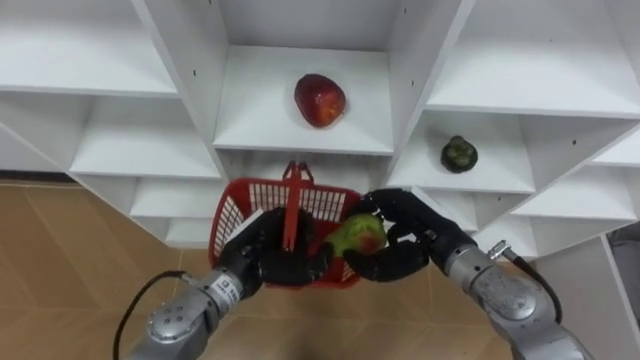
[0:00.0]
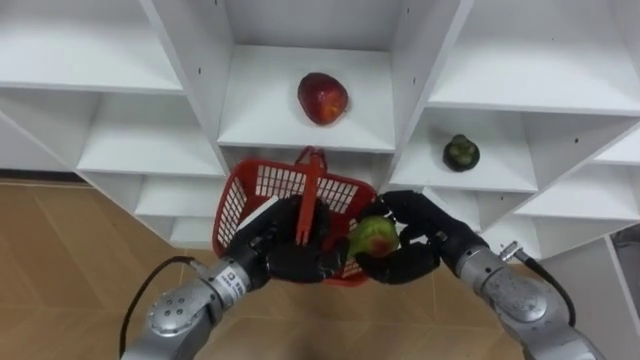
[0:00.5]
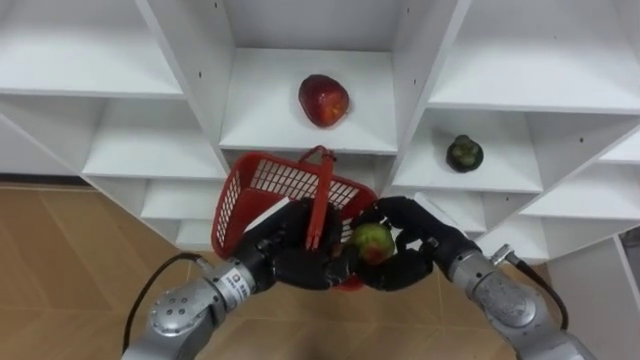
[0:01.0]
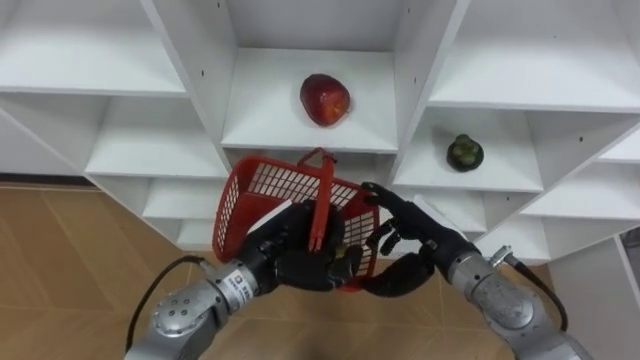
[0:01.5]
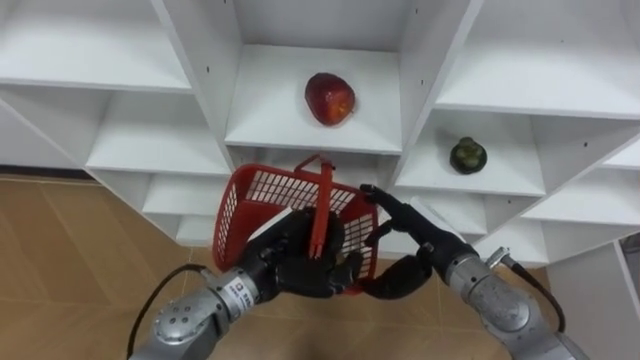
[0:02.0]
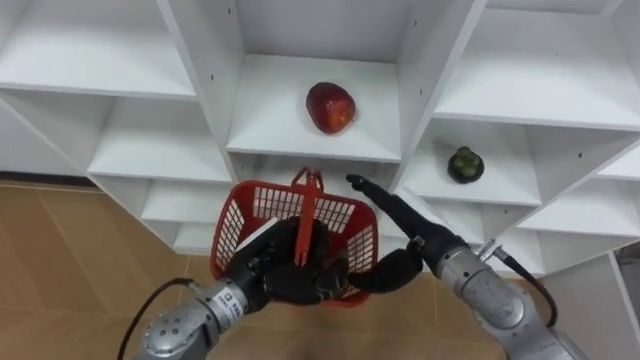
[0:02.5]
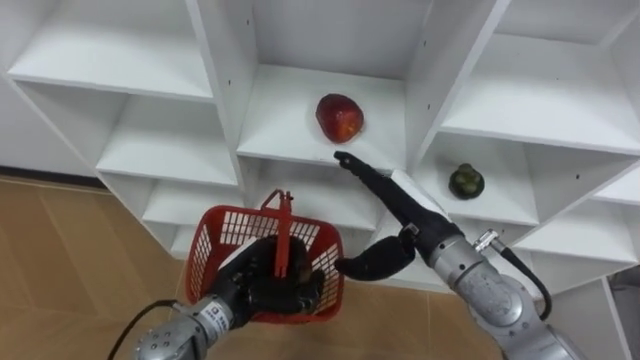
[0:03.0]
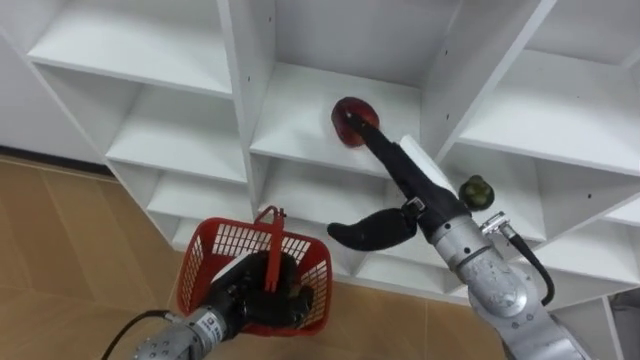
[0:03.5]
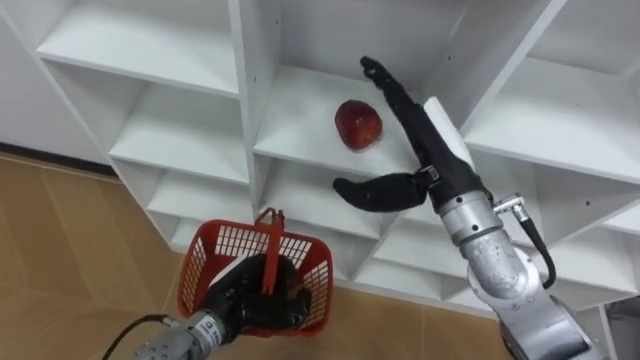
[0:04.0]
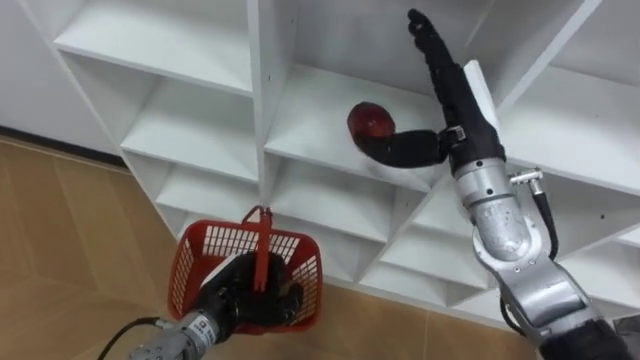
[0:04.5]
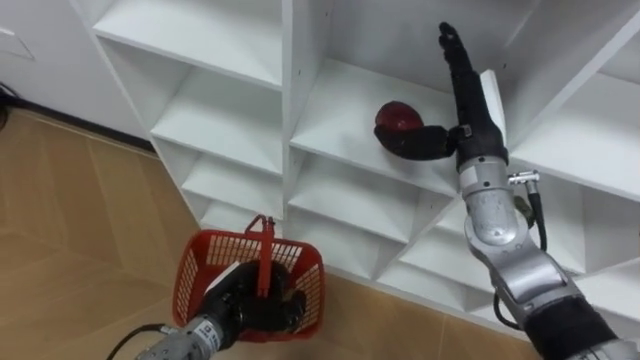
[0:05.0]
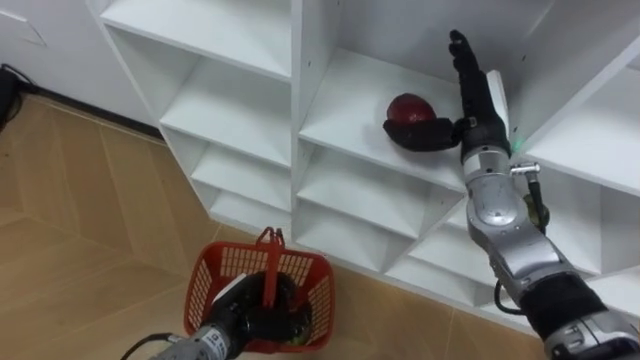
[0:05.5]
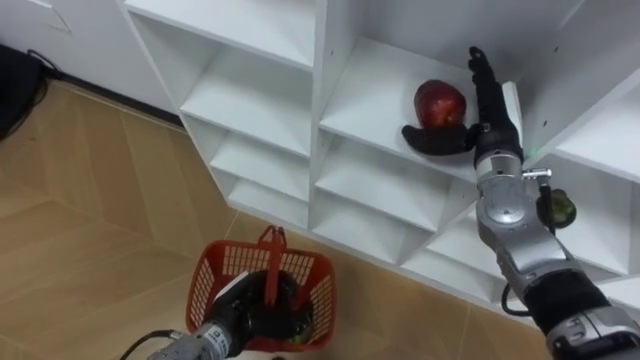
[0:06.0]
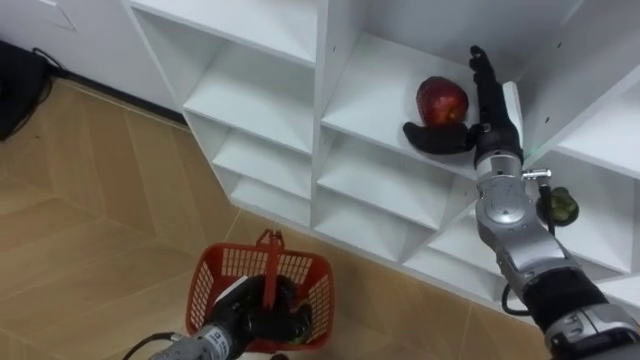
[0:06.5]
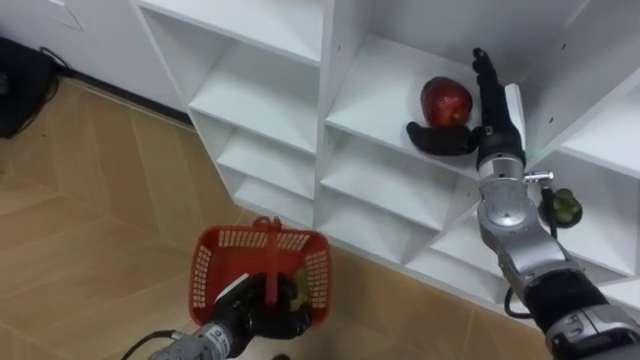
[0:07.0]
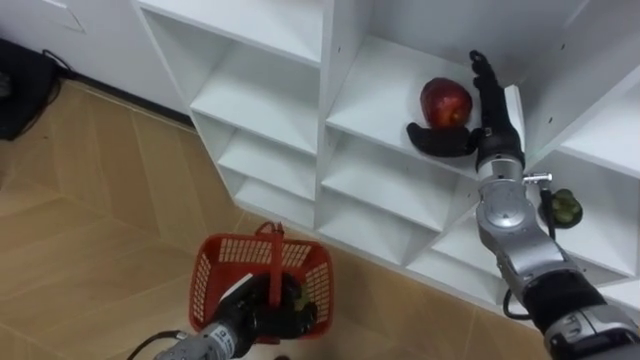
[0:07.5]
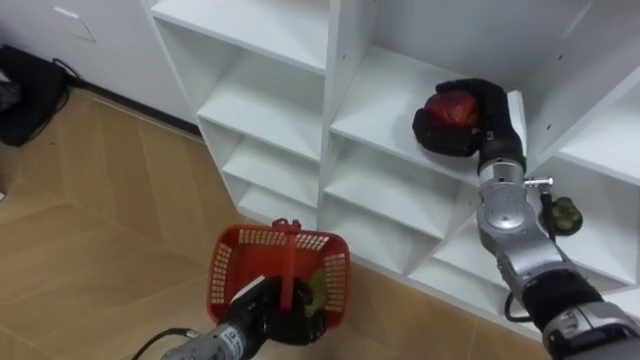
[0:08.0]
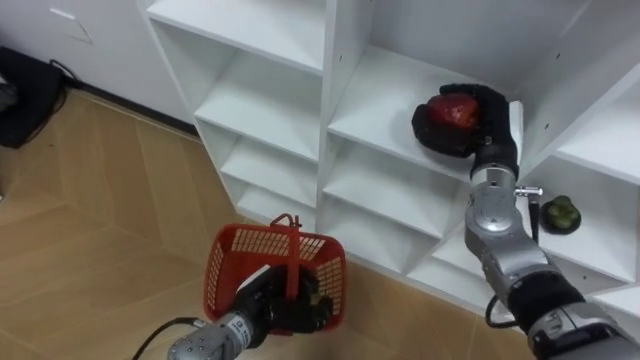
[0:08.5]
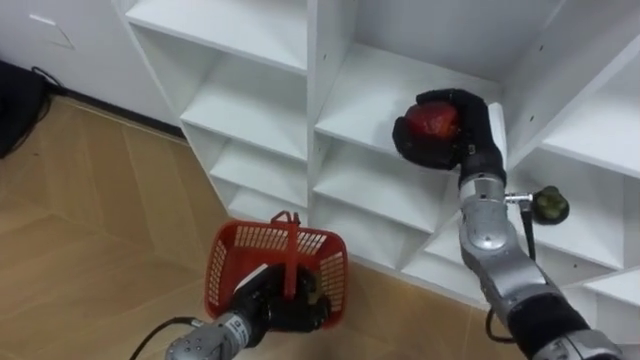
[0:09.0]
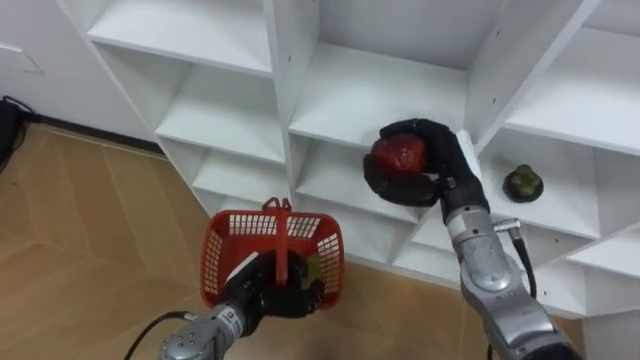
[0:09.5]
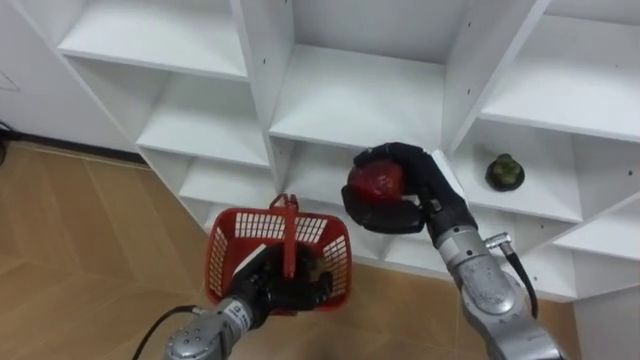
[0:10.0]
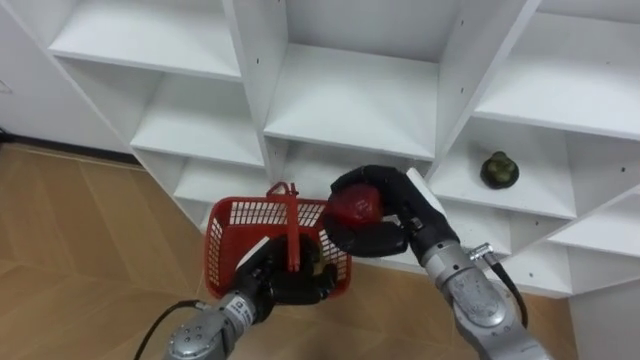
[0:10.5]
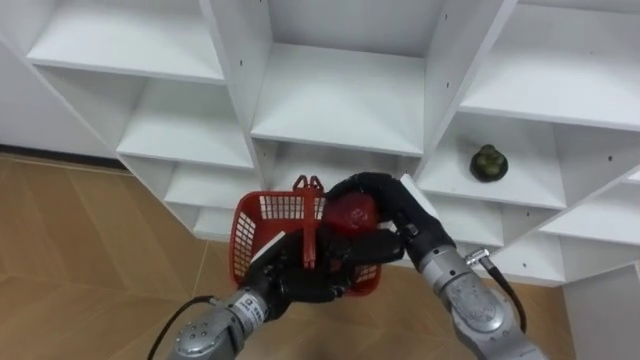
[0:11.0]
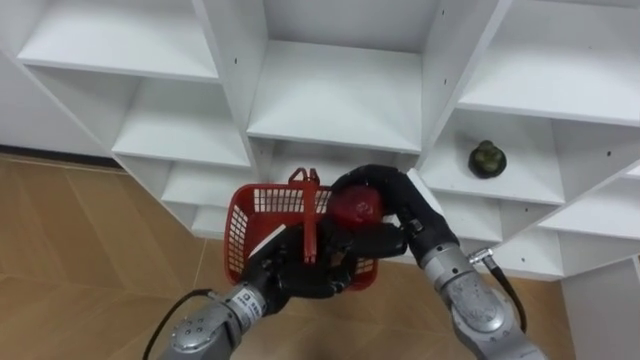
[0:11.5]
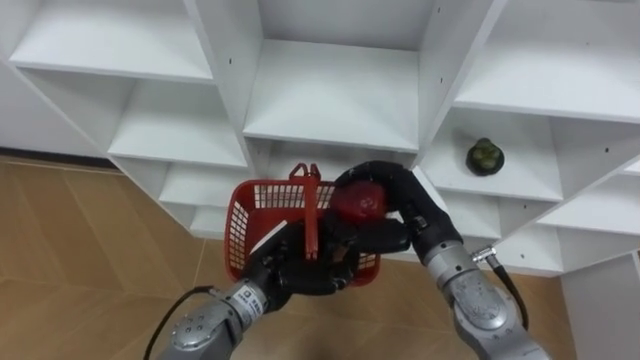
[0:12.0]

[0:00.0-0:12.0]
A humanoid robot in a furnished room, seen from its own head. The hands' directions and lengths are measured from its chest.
Task of the whole recording: Hold the basket and collect the fruits from 3 different cells of the closet into it.
0:00.0 to 0:02.0: The right hand opens up.
0:02.0 to 0:04.0: The left hand heads downward and to the left, covering some 10 cm, while the right hand goes some 15 cm upward.
0:04.0 to 0:06.0: The right hand goes some 10 cm to the right and forward.
0:06.0 to 0:08.0: The right hand closes up.
0:08.0 to 0:10.0: The right hand heads to the left and backward, covering roughly 10 cm.
0:10.0 to 0:12.0: The left hand goes some 5 cm upward.

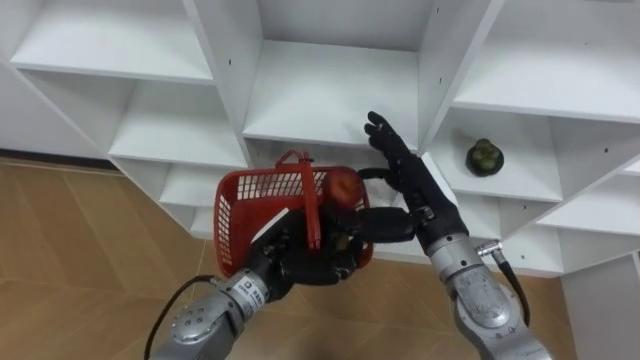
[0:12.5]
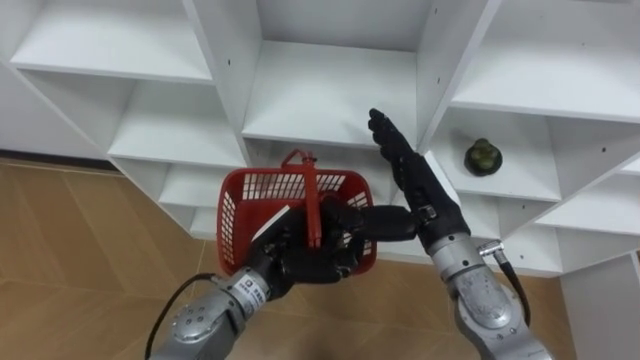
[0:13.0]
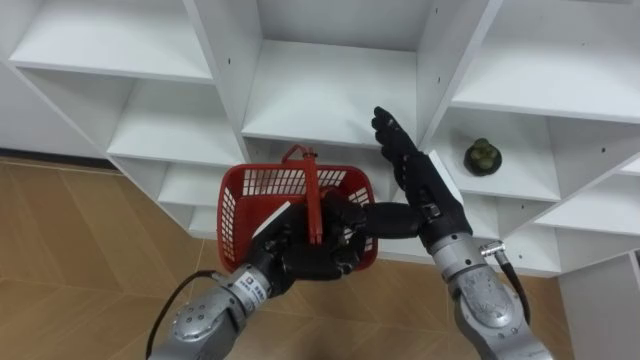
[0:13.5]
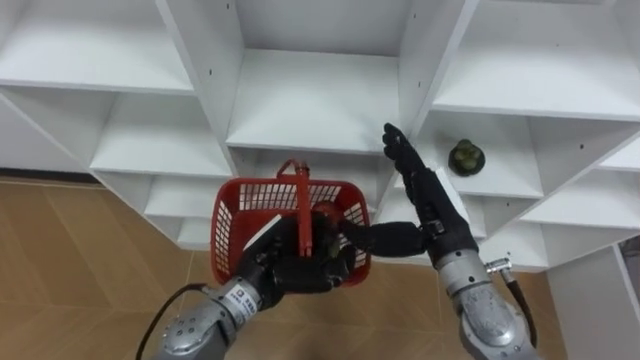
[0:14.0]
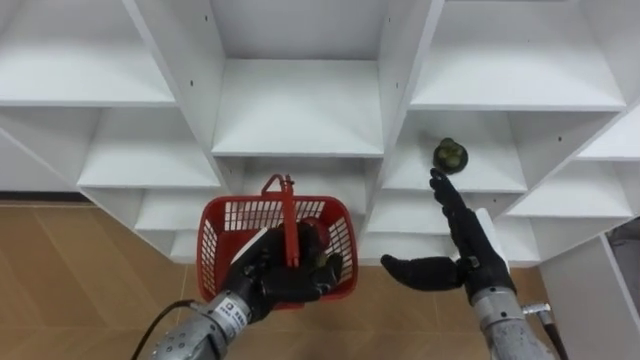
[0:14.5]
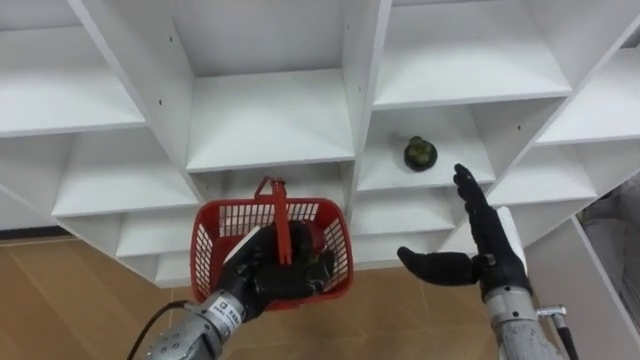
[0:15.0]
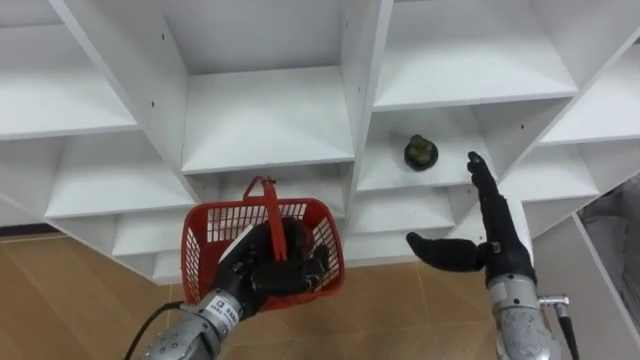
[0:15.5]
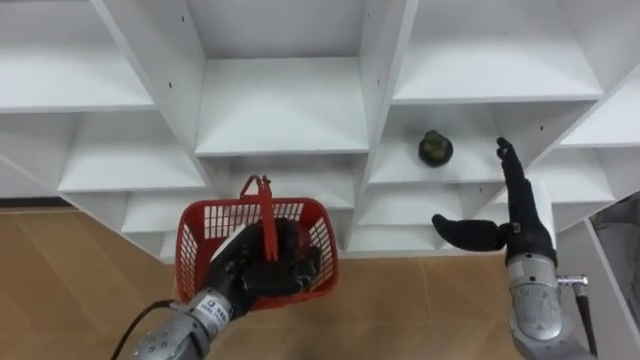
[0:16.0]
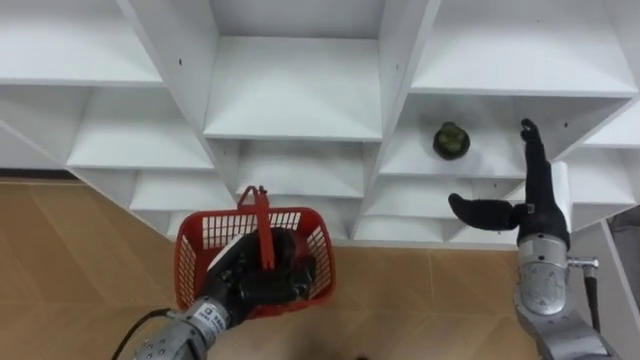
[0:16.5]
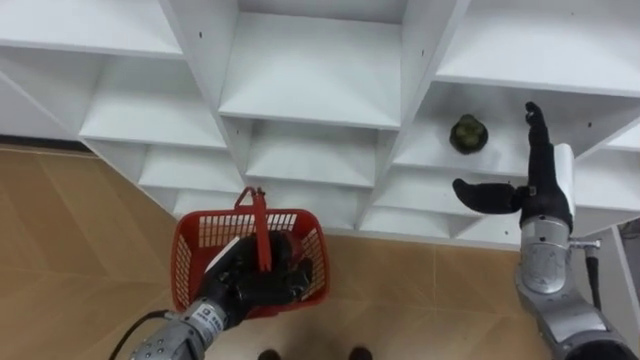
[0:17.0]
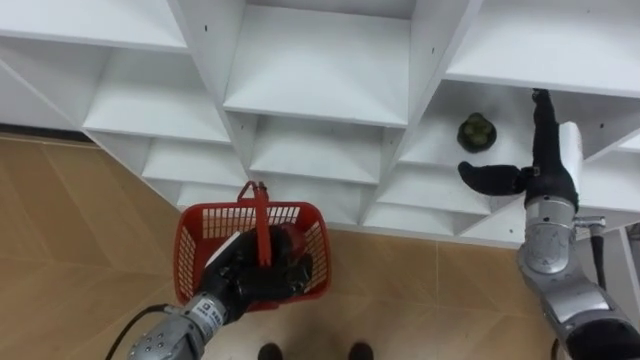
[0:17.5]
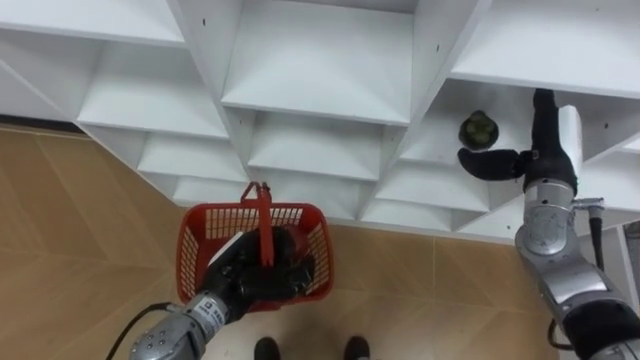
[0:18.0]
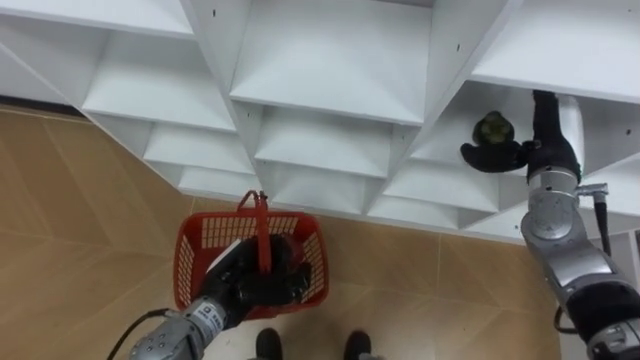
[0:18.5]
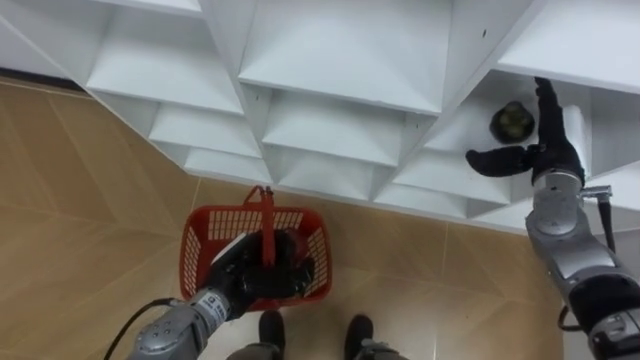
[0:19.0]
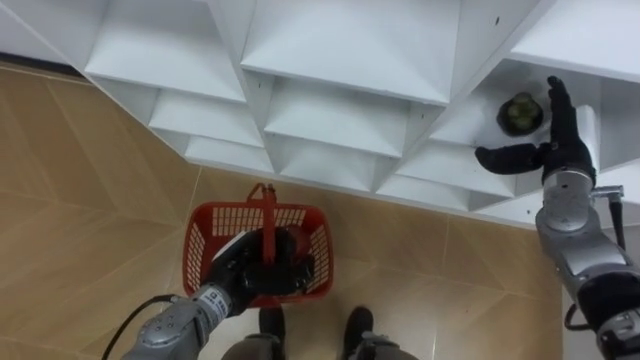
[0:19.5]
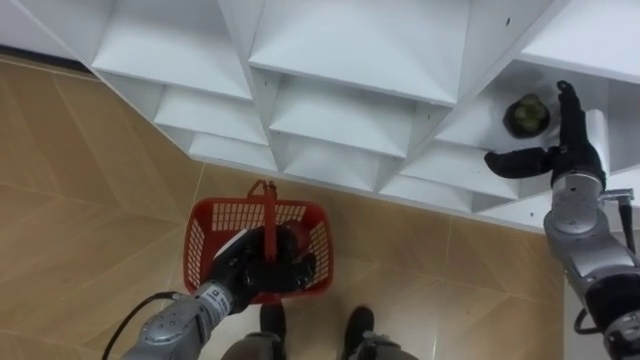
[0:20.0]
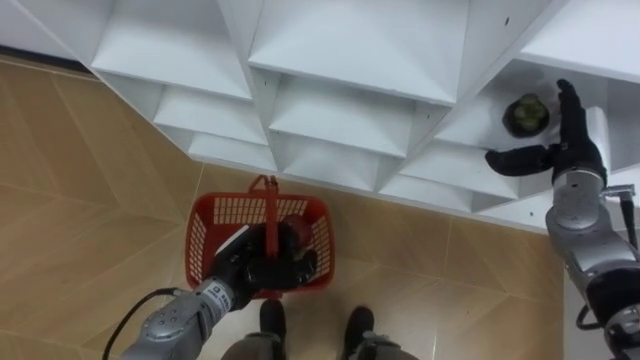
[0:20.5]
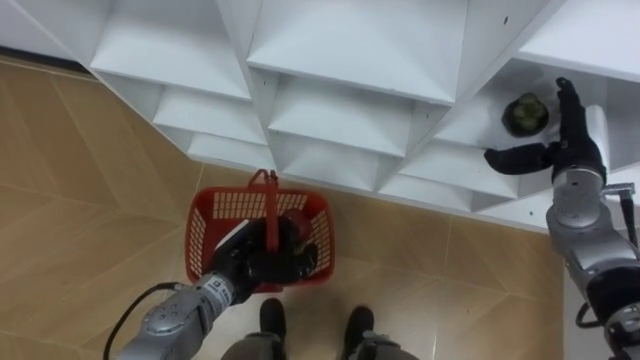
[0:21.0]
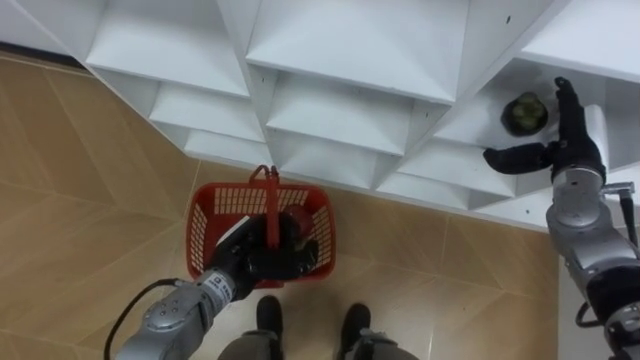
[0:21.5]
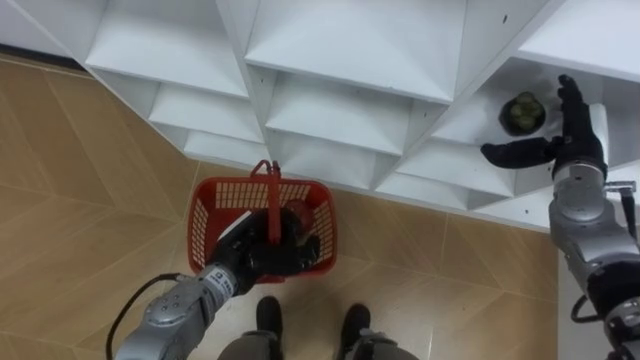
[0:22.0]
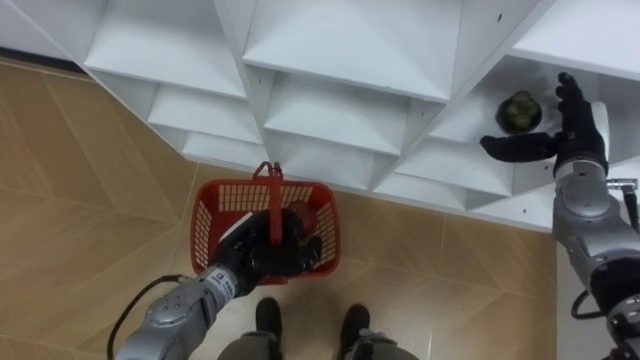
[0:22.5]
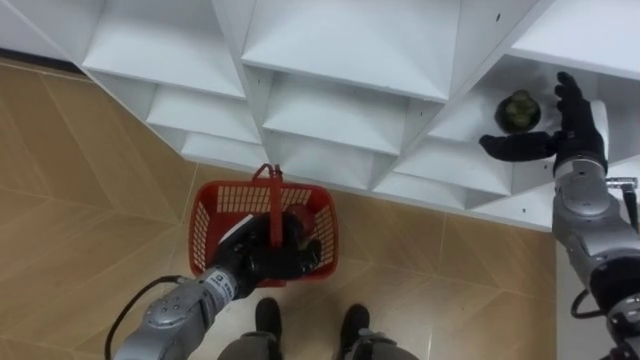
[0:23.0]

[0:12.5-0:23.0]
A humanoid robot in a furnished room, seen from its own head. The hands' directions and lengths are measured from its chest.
Task of the whole recording: Hold the basket and collect the fruits from 3 different cells of the closet into it.
0:12.5 to 0:14.5: The right hand heads to the right and downward, covering approximately 10 cm.
0:14.5 to 0:16.5: The right hand moves to the right, some 10 cm.
0:16.5 to 0:19.0: The right hand goes some 5 cm forward.
0:21.0 to 0:23.0: There are only small adjustments of the hands.
